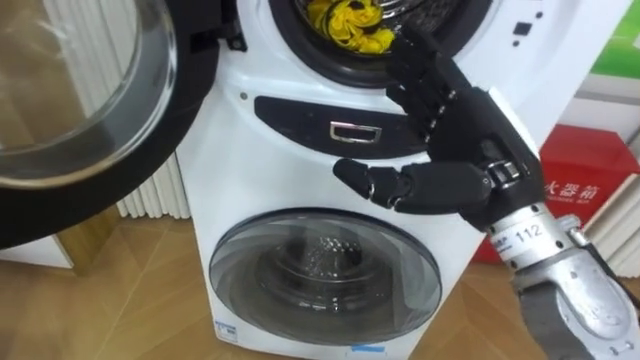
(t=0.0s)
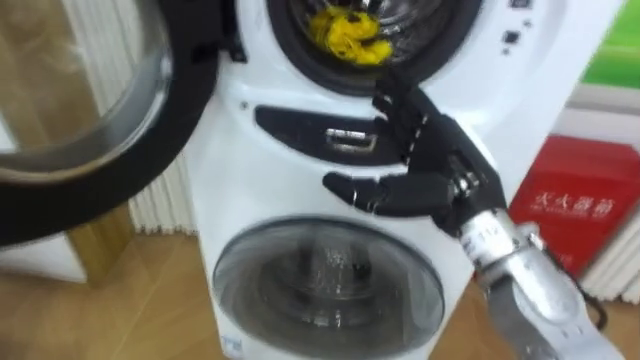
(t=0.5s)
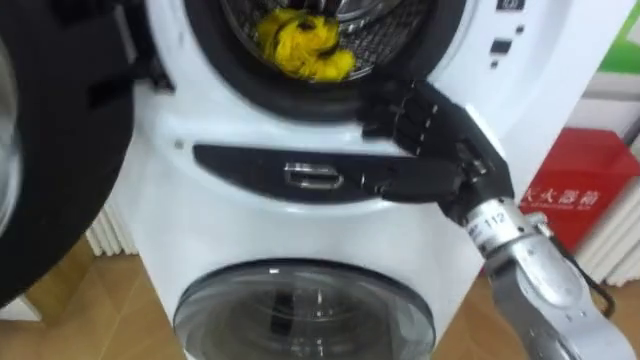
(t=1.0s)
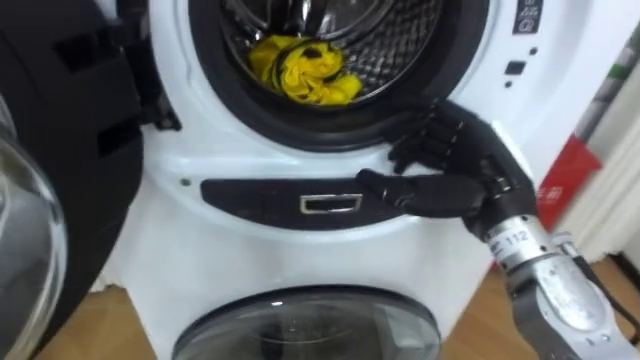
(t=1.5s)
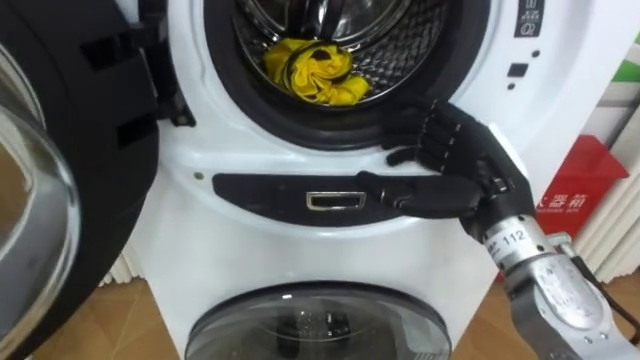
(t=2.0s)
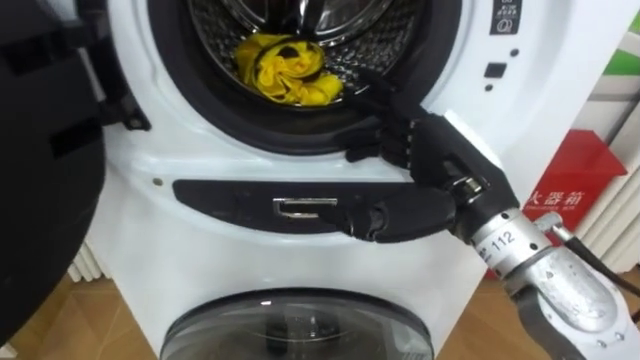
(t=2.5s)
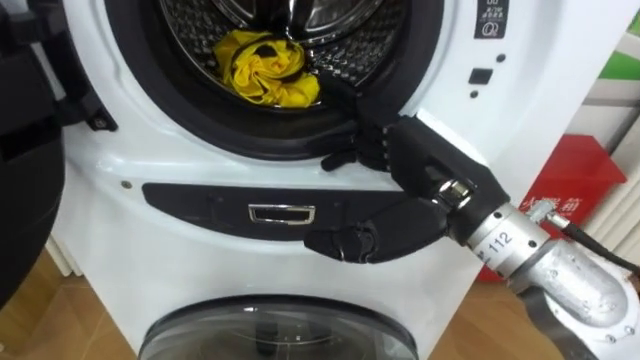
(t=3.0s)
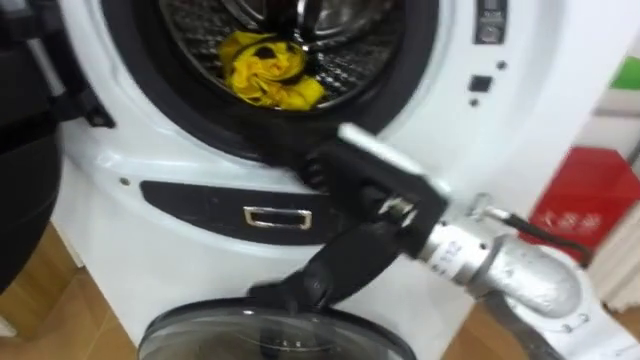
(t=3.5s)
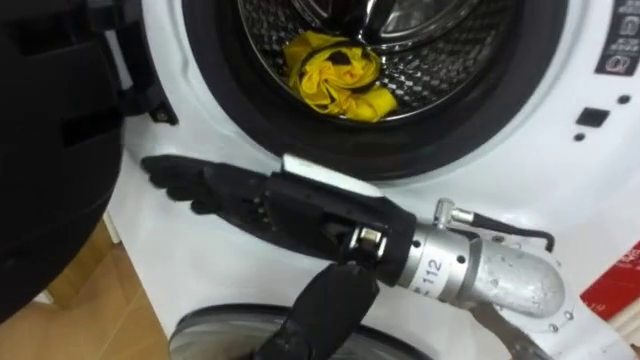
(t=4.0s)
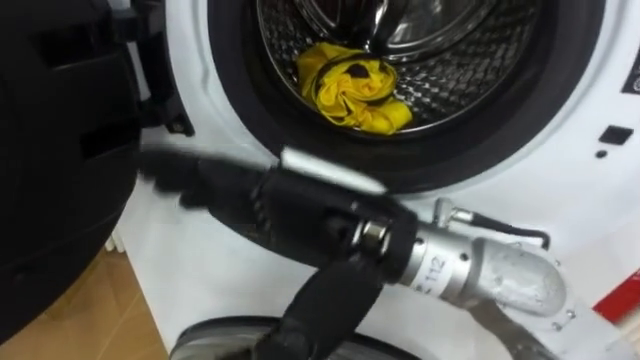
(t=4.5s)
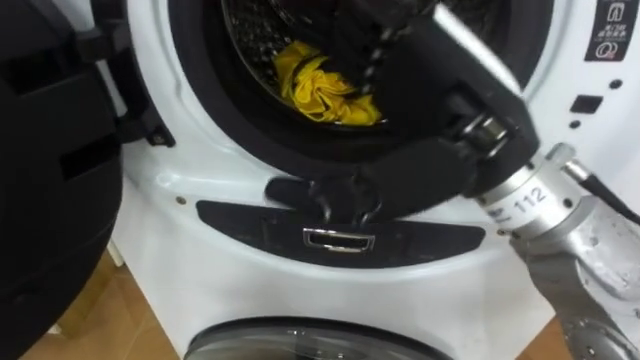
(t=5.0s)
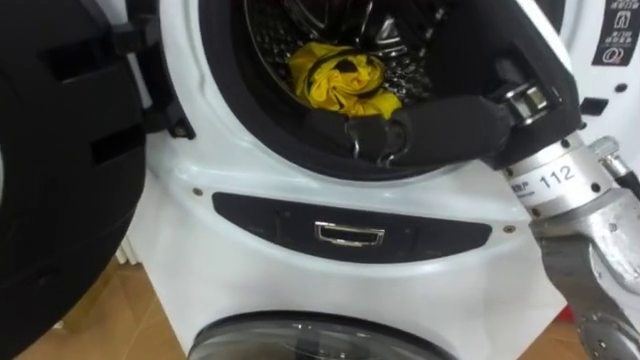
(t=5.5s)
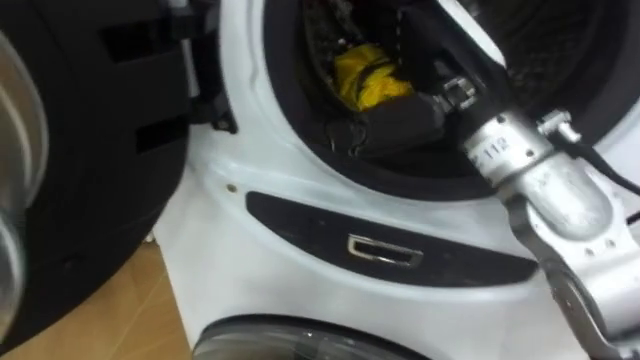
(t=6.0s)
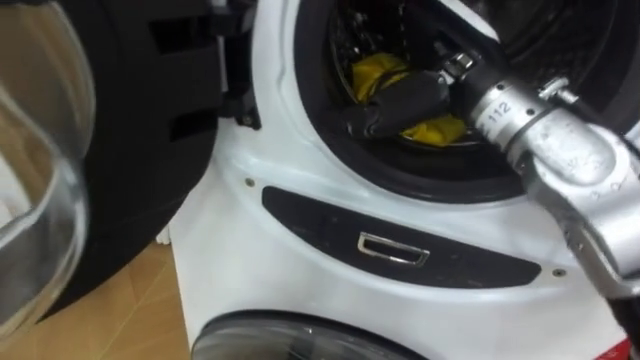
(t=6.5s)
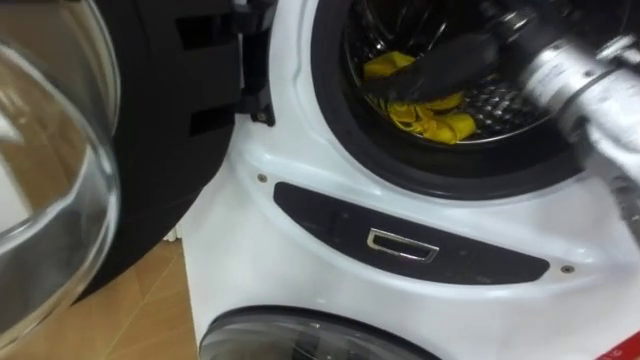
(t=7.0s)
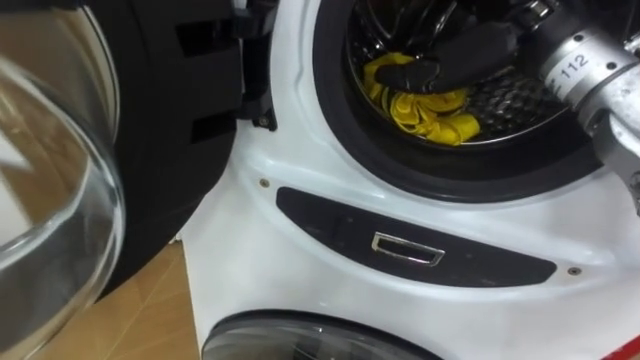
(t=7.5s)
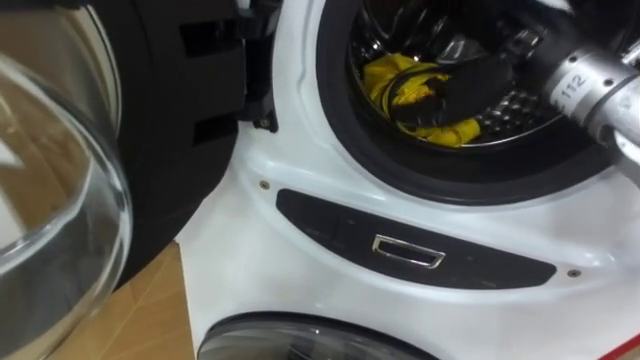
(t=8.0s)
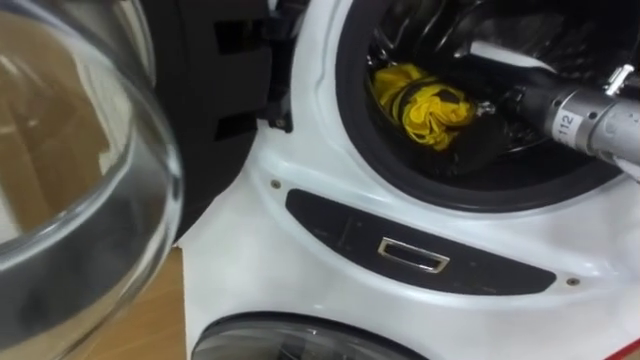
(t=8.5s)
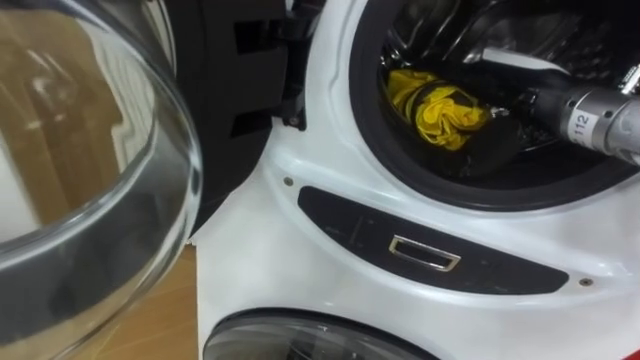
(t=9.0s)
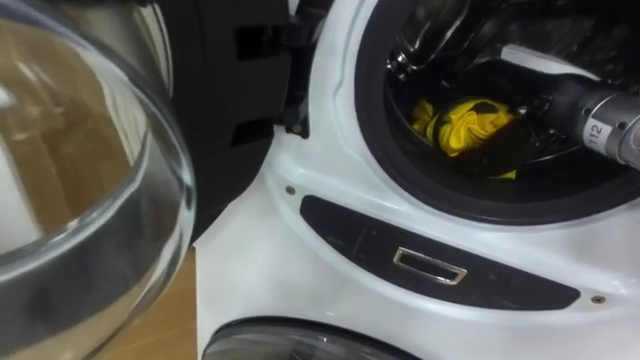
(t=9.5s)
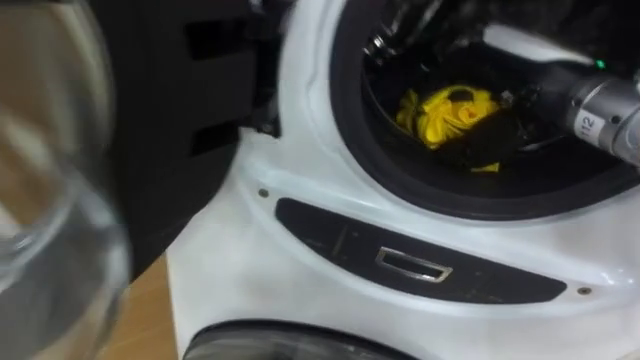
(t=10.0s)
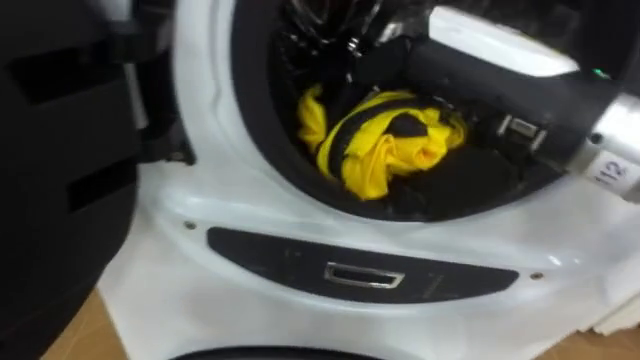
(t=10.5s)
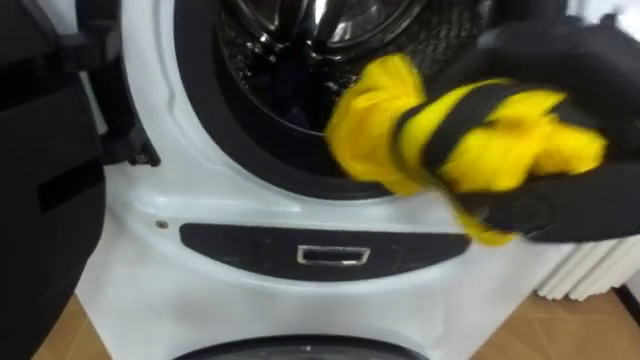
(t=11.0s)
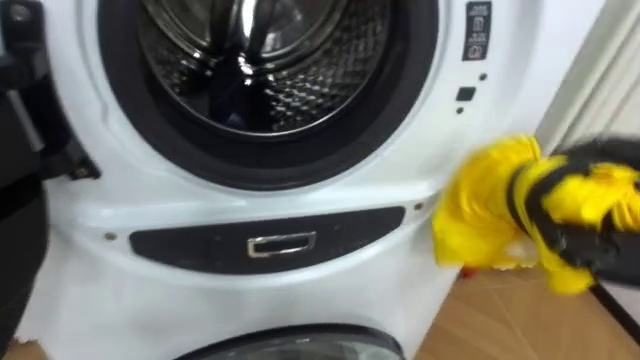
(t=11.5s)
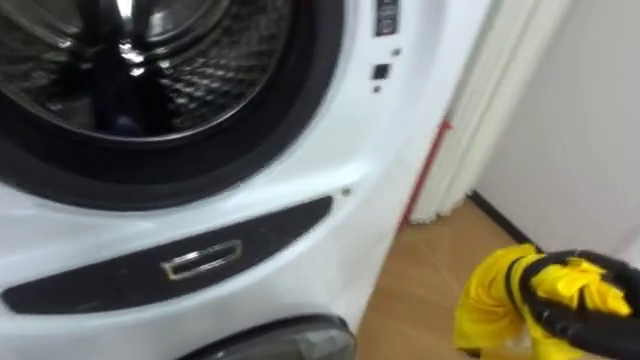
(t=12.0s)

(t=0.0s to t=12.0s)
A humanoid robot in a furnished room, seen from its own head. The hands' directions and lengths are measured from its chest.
Task of the whole recording: Open the washing machine door, take out the yellow clothes, place them in the box on the right, and close the washing machine door.
t=0.0s - t=2.0s: The right hand shifts about 5 cm downward.
t=2.0s - t=4.0s: The right hand travels to the left and backward by roughly 20 cm.
t=4.0s - t=6.0s: The right hand shifts about 15 cm forward, to the right and upward.
t=6.0s - t=8.0s: The right hand goes roughly 5 cm to the right.
t=8.0s - t=10.0s: The right hand closes up.

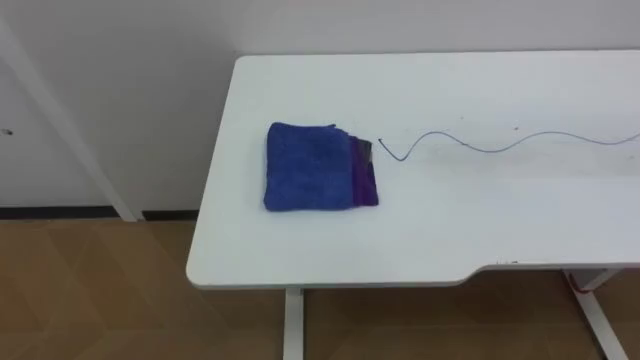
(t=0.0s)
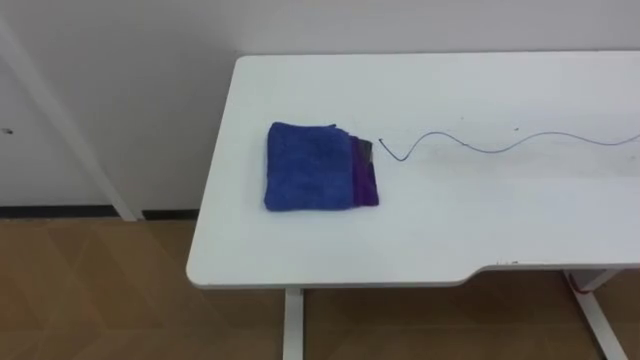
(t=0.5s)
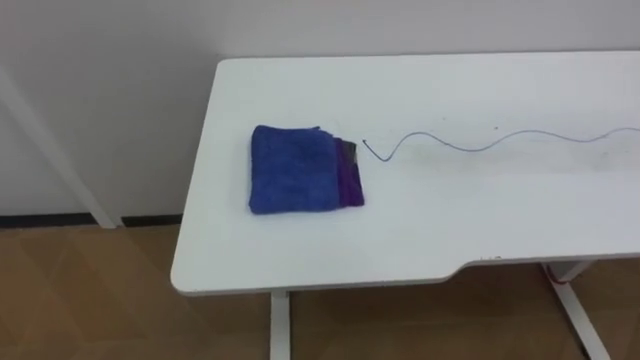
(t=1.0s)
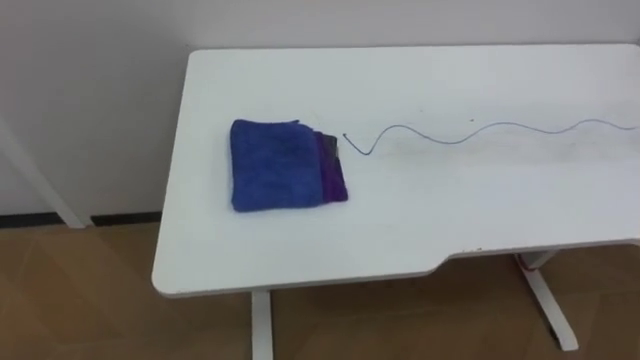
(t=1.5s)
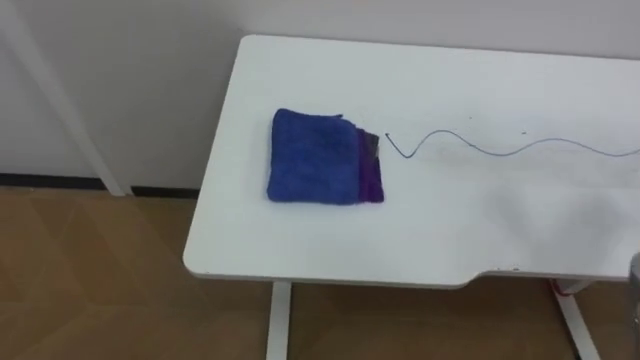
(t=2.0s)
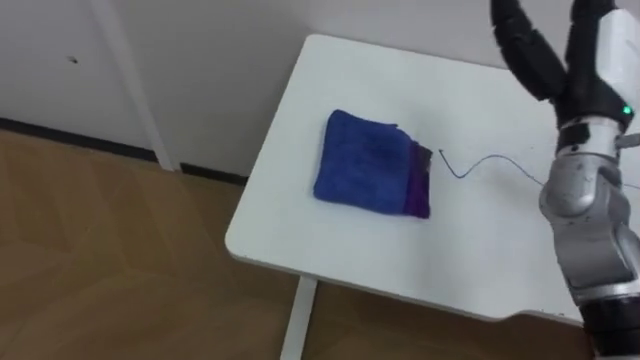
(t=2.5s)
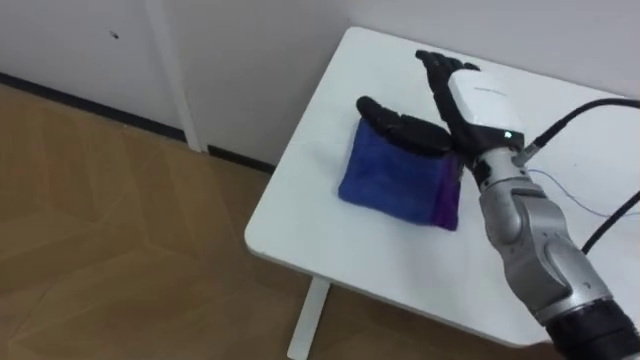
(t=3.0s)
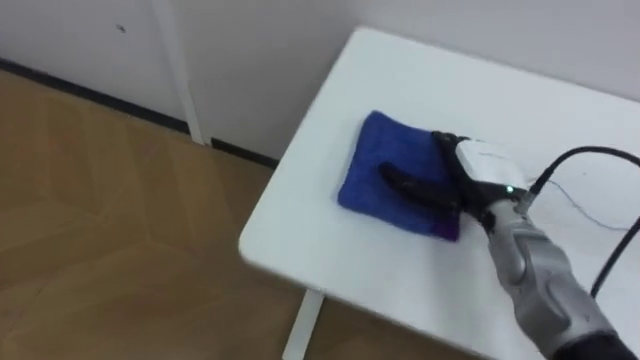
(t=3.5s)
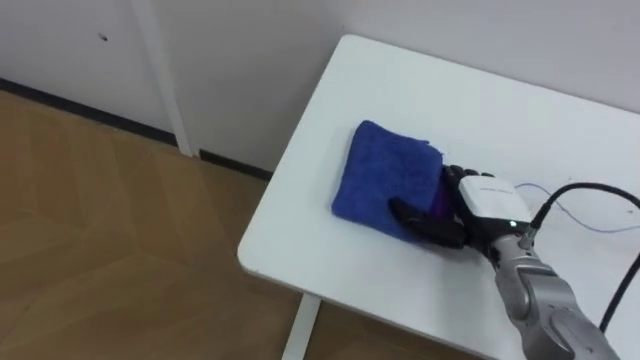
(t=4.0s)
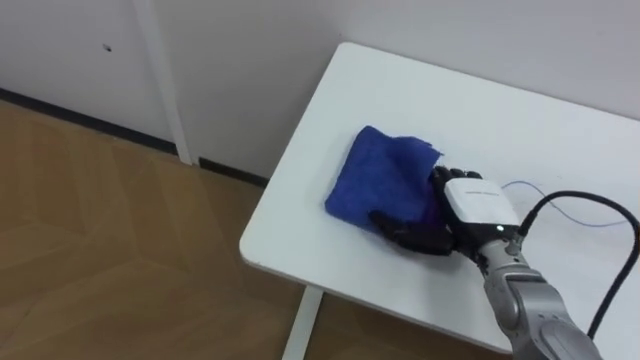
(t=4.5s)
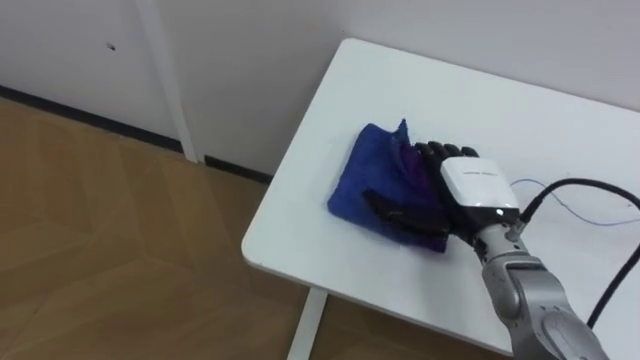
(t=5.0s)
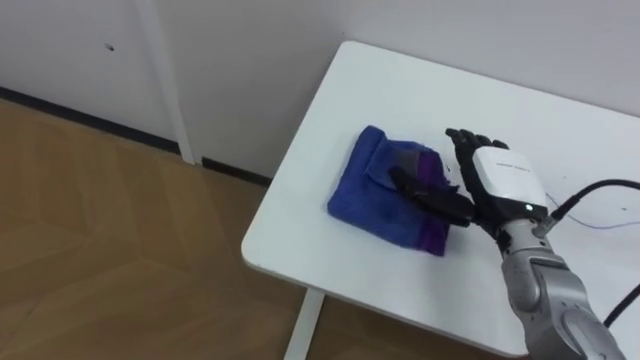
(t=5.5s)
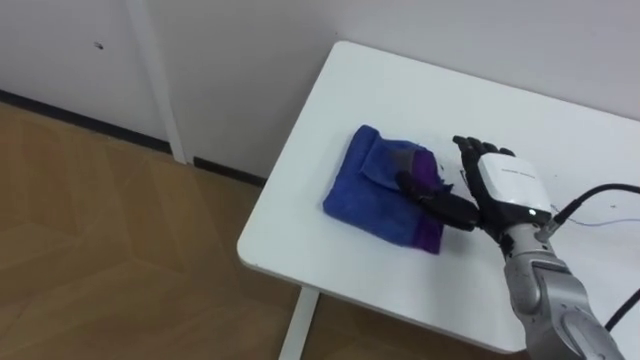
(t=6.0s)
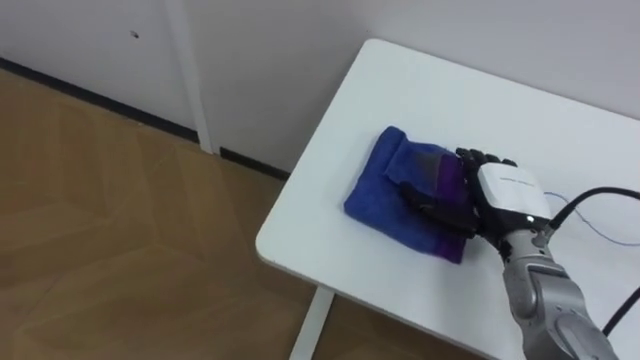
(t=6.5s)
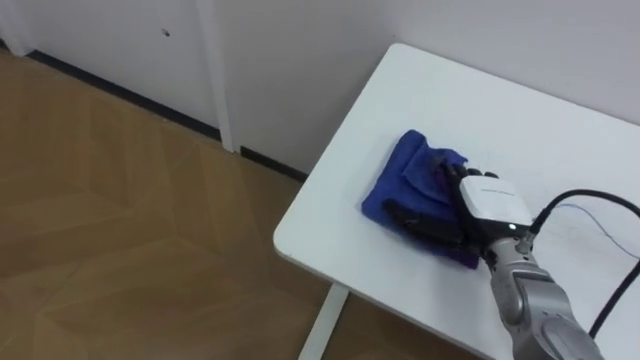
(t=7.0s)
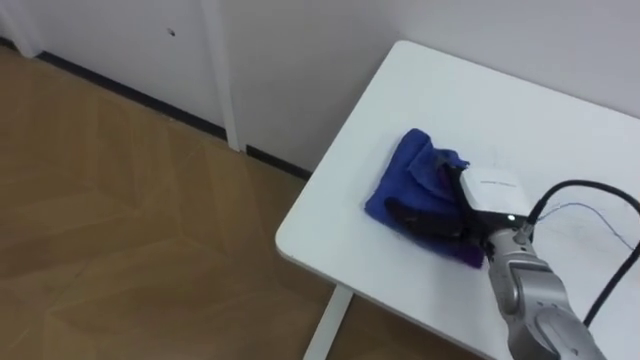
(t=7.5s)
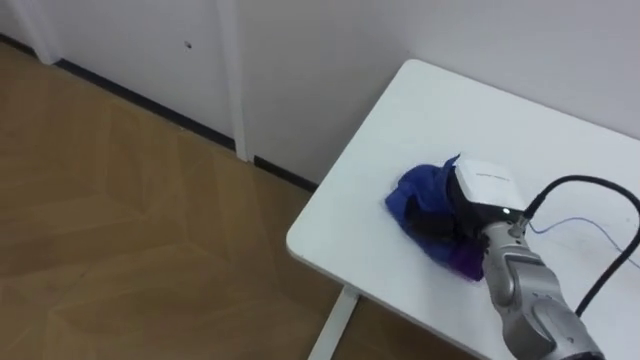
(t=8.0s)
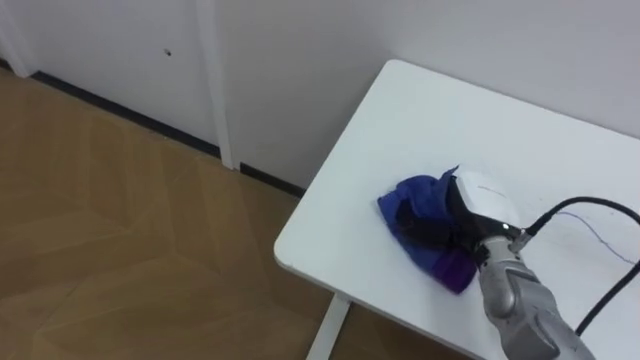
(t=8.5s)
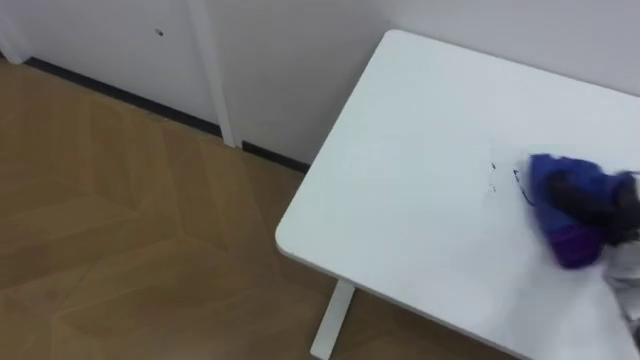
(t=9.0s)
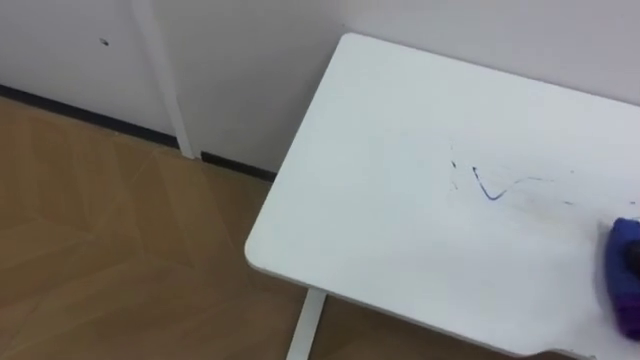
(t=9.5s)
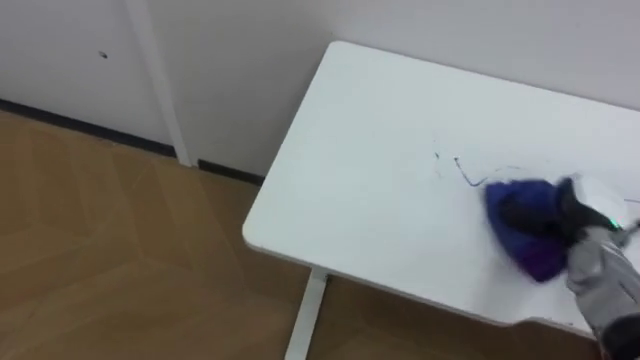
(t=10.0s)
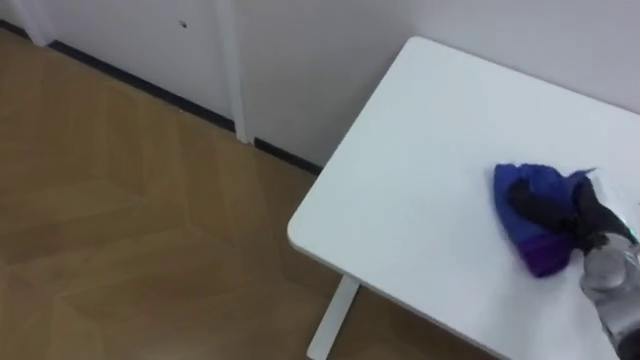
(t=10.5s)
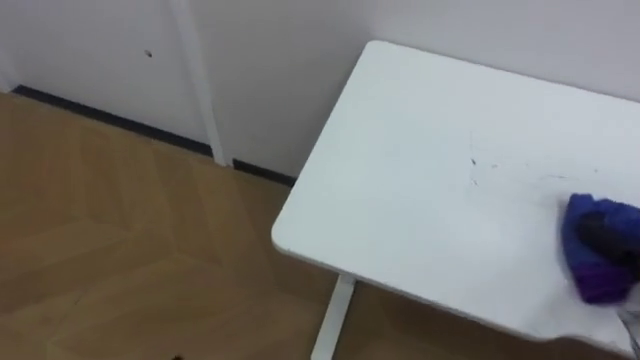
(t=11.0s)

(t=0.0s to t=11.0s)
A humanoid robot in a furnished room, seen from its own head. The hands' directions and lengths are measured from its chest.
Task of the whole recording: Wipe the blue pen marks off the table with the rag.
t=7.5s - t=9.0s: The right hand heads to the right, covering some 20 cm, and closes.
